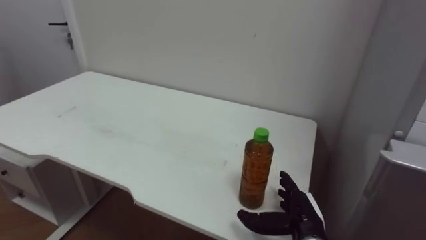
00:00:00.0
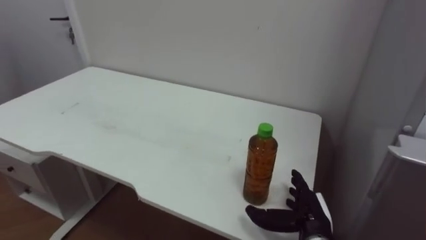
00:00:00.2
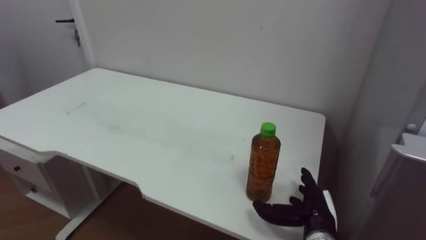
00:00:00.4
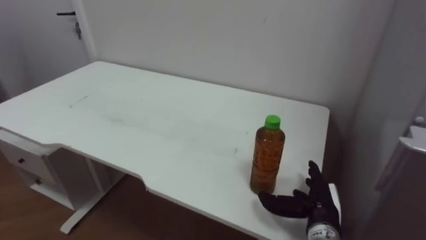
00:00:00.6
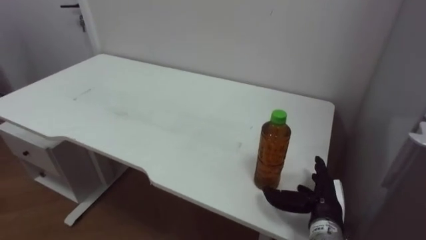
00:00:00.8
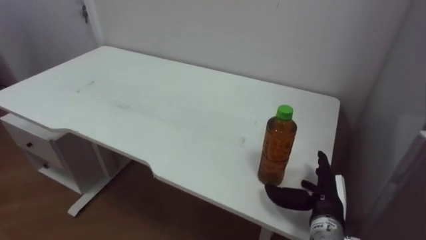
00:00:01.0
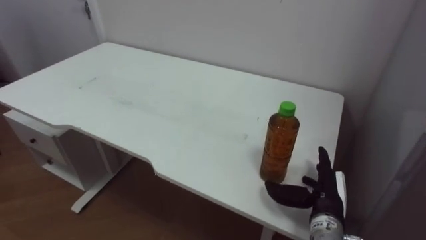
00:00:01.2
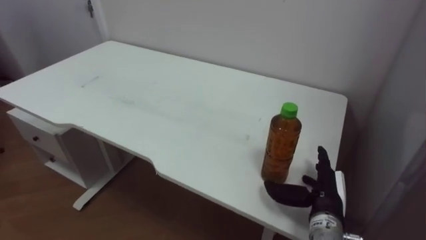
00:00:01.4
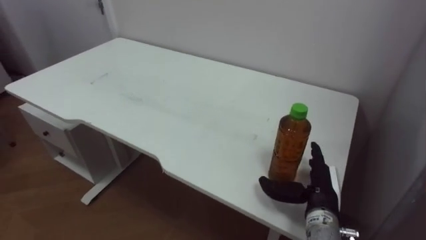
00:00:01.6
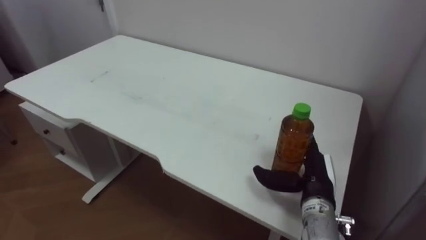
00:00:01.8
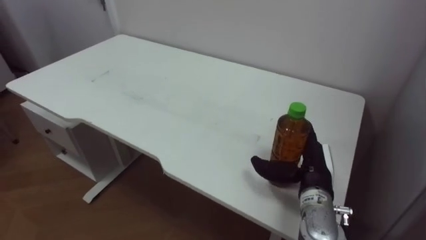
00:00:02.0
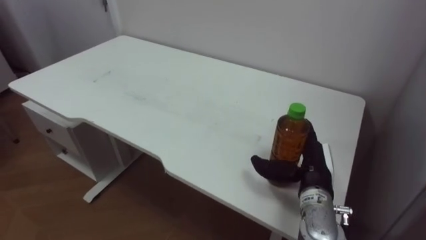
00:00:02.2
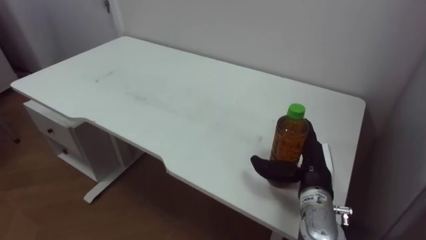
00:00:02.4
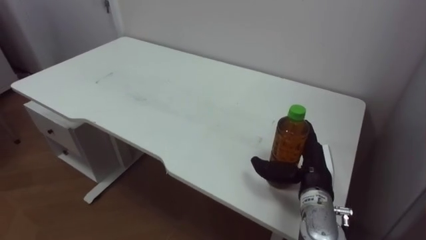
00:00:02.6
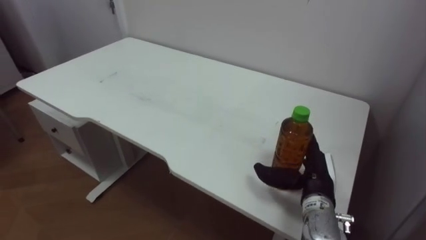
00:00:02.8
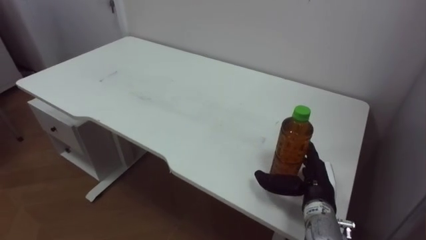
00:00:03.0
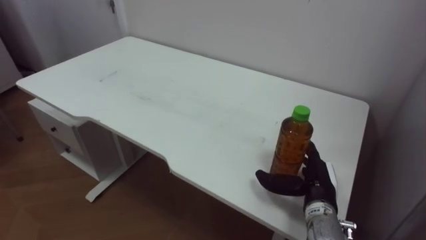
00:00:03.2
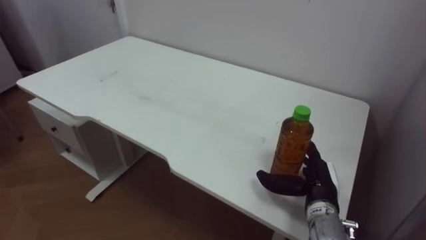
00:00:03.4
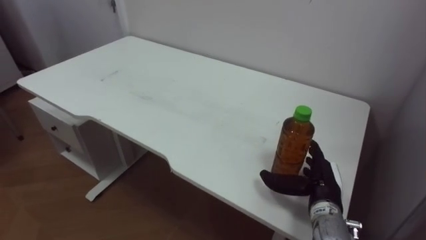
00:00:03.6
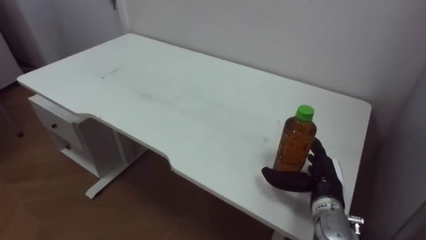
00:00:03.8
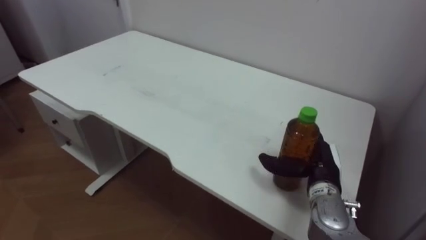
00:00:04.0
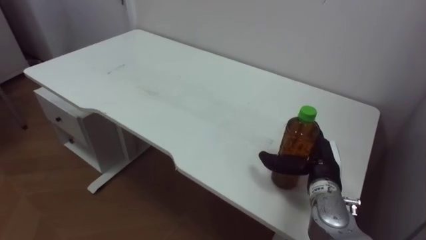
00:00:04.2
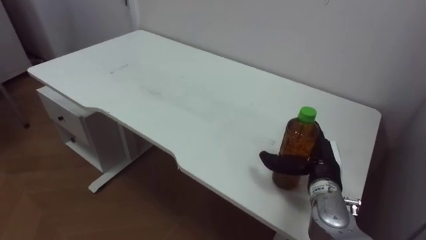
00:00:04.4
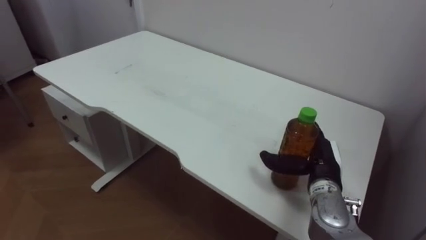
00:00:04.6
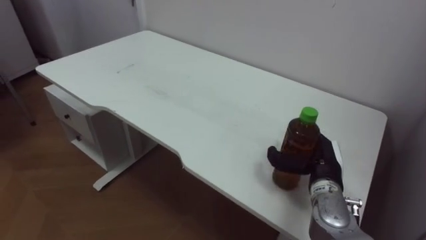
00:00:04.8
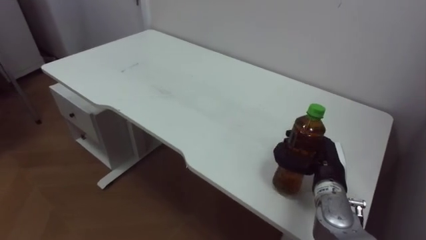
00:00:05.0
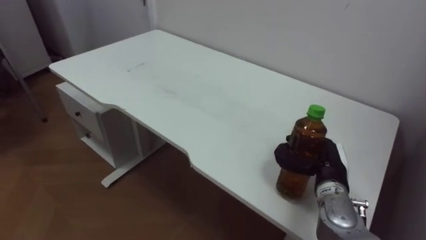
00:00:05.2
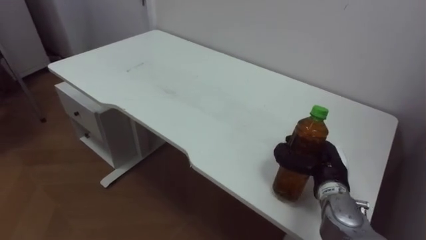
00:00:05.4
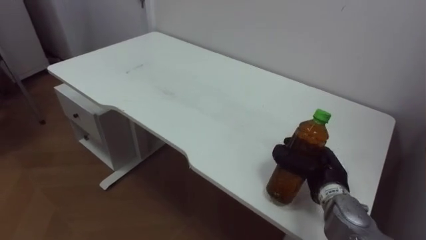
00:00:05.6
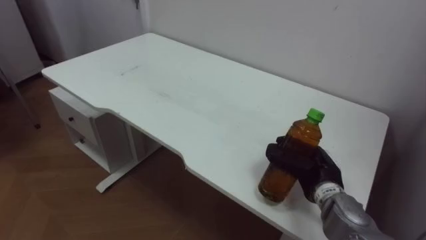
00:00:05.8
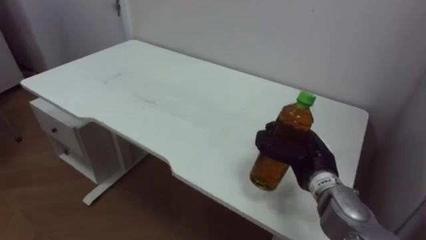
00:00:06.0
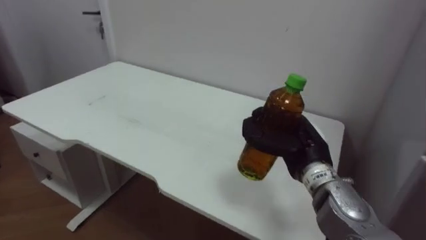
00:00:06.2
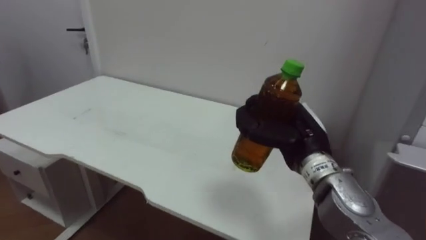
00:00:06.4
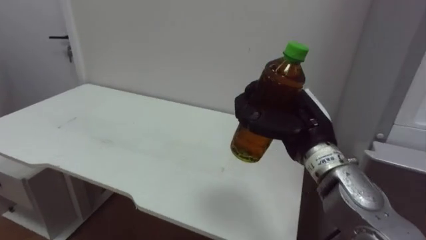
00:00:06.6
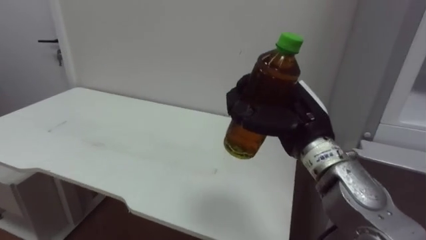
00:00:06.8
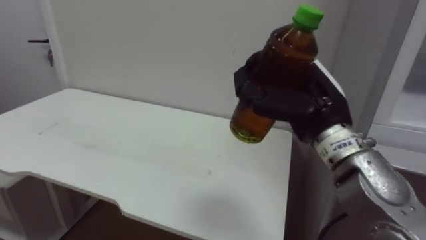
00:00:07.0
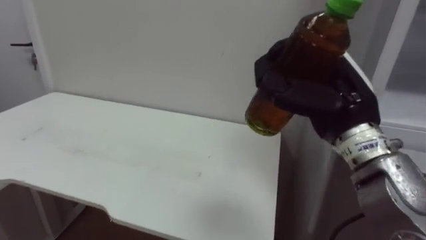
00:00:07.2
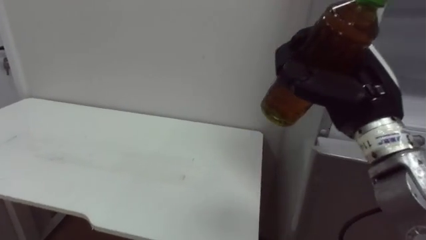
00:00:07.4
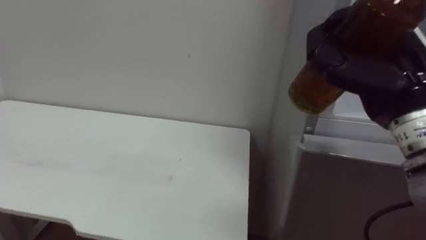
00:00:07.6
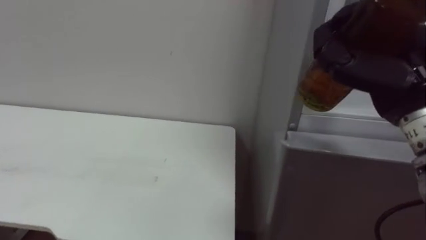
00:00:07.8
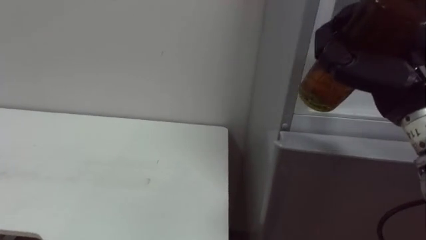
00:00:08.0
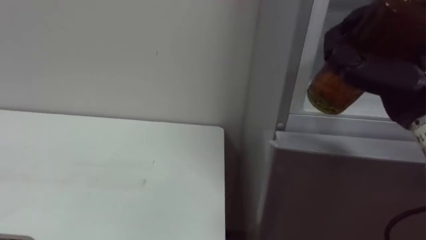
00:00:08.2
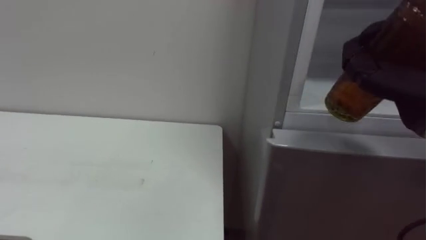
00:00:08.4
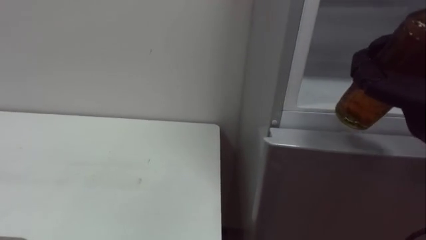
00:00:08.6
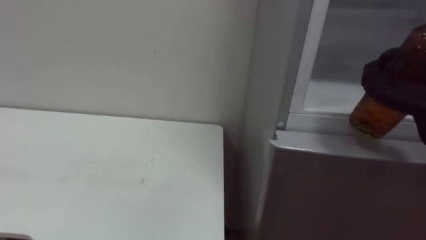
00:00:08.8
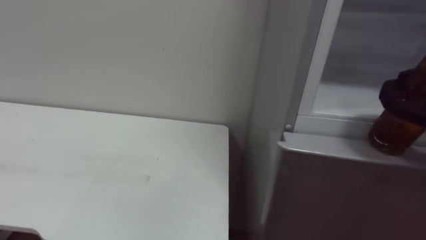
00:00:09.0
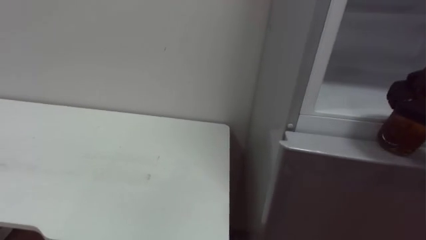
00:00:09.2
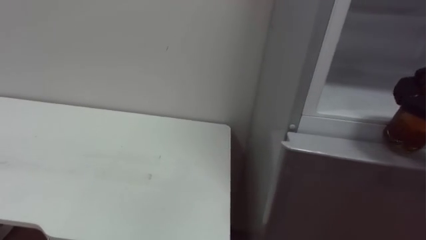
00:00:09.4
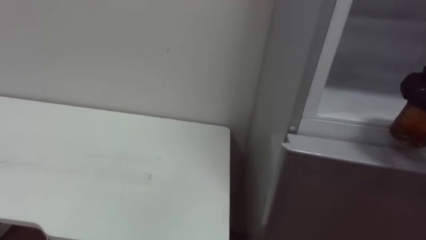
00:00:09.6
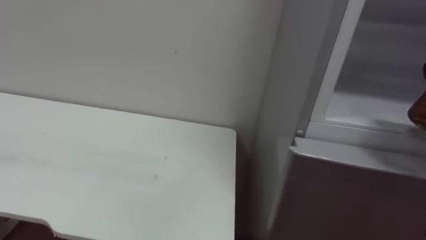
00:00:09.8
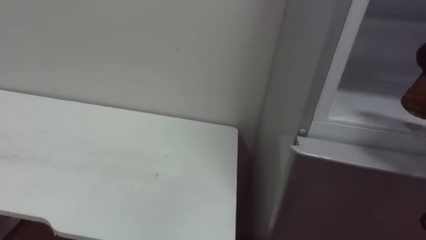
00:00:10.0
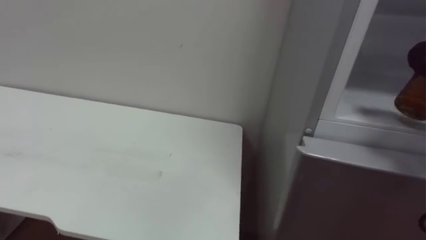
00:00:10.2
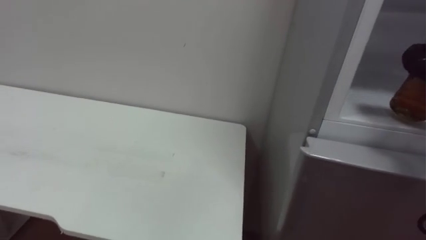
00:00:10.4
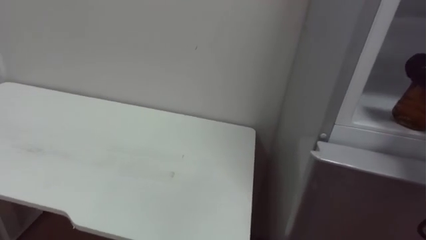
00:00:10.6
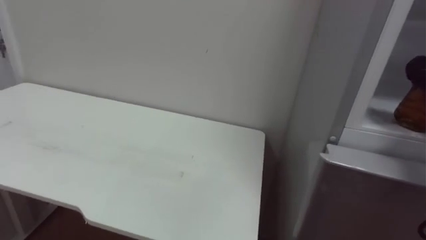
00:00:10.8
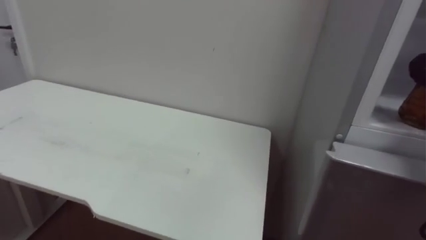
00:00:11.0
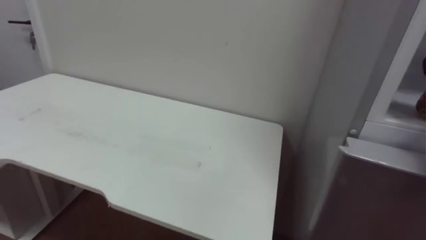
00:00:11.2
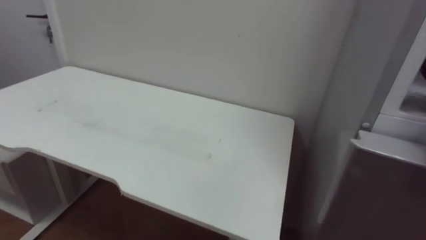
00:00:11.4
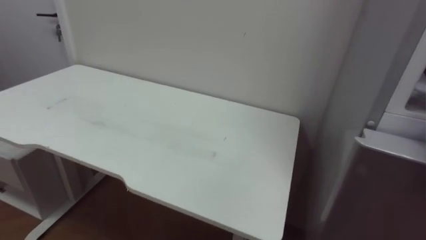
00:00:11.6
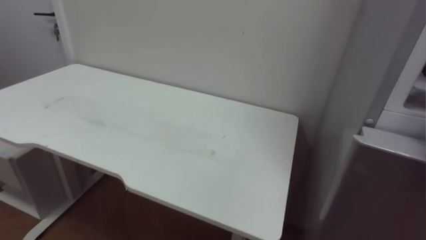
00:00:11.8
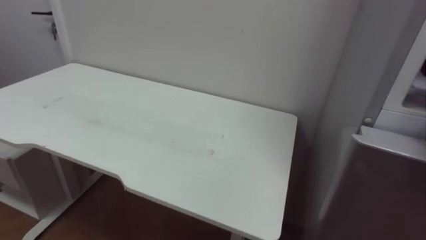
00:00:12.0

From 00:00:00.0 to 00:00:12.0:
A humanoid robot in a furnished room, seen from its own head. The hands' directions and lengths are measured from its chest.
Task of the whole recording: Open the upper refrigerator door, put the drink from the table into the refrigerator, and then close the refrigerator door.
From 00:00:00.0 to 00:00:01.6: The right hand changes place by some 5 cm.
From 00:00:04.4 to 00:00:06.0: The right hand closes its fingers.
From 00:00:06.0 to 00:00:07.6: The right hand heads upward and backward, covering about 20 cm.

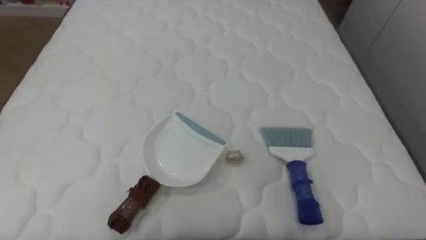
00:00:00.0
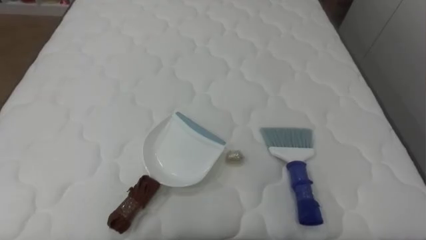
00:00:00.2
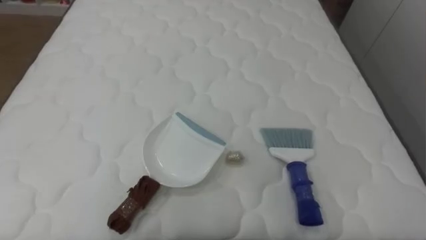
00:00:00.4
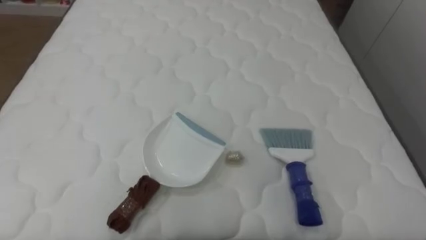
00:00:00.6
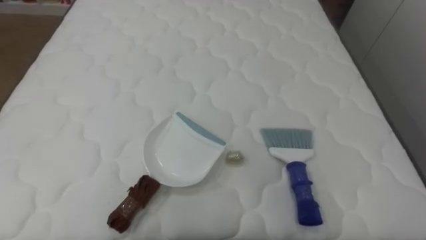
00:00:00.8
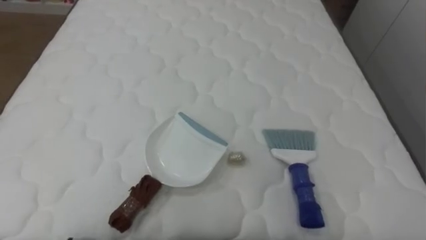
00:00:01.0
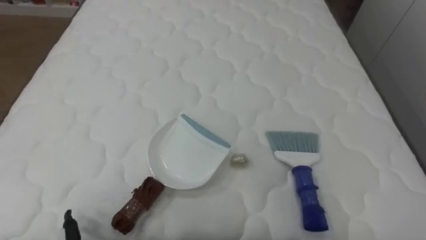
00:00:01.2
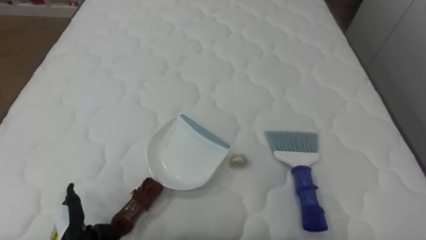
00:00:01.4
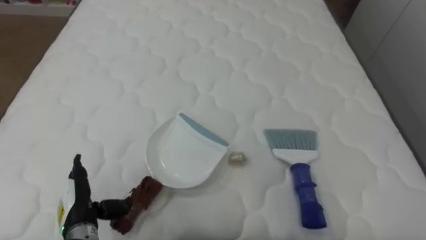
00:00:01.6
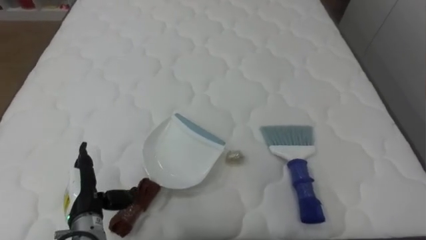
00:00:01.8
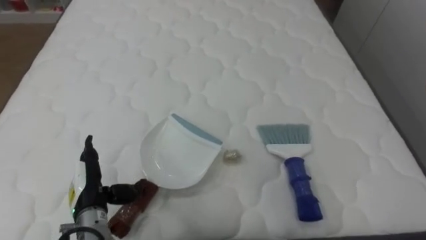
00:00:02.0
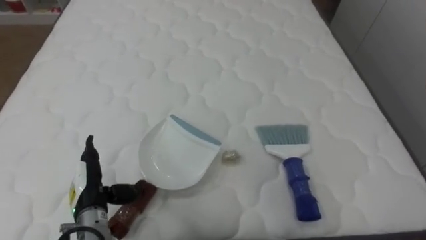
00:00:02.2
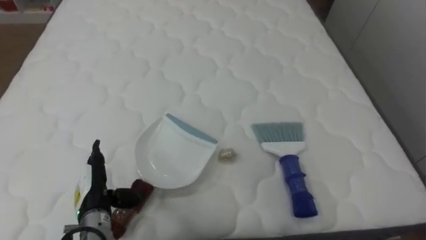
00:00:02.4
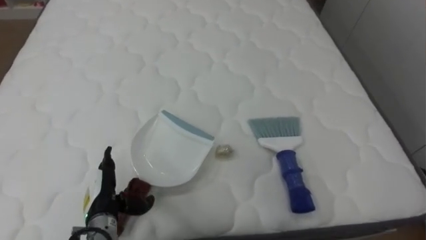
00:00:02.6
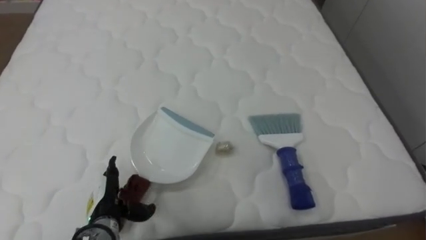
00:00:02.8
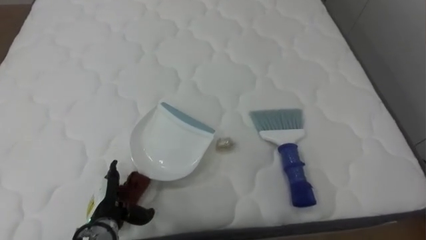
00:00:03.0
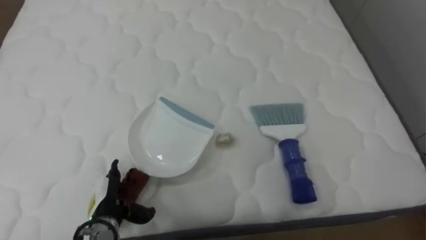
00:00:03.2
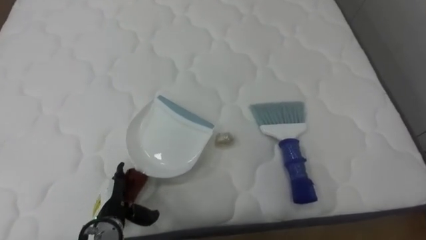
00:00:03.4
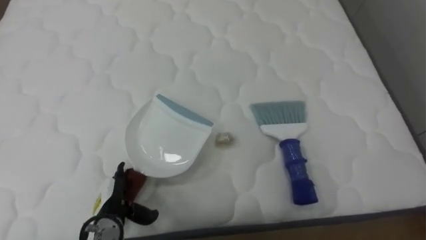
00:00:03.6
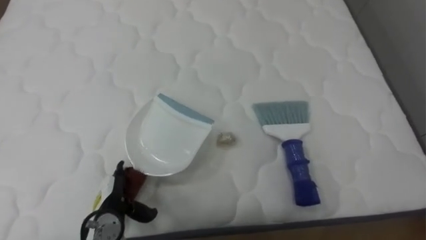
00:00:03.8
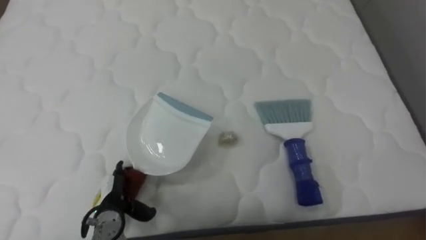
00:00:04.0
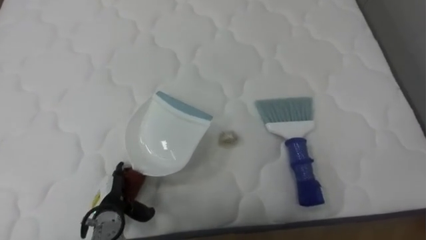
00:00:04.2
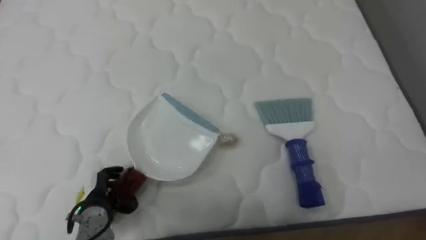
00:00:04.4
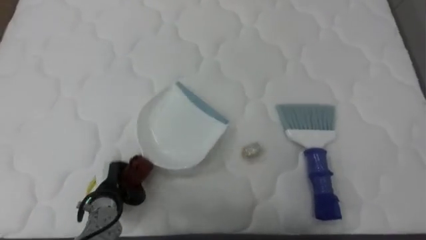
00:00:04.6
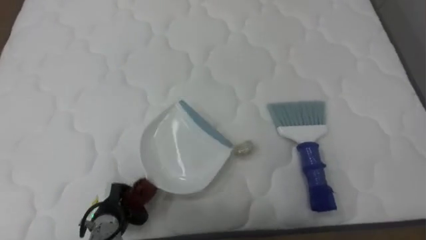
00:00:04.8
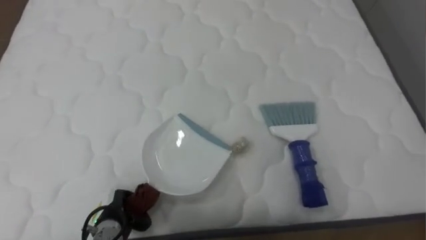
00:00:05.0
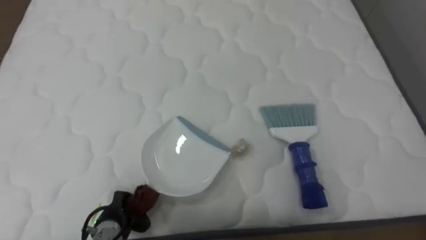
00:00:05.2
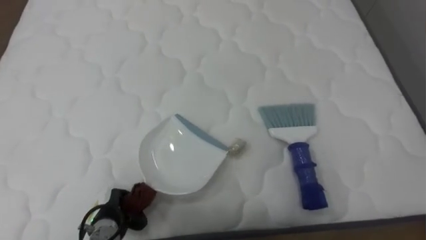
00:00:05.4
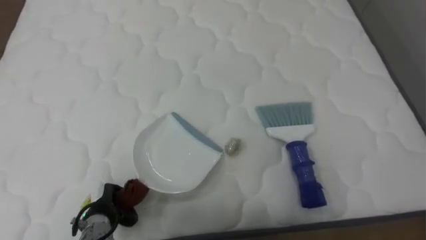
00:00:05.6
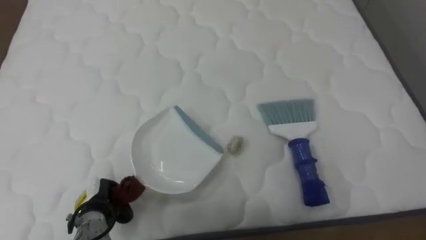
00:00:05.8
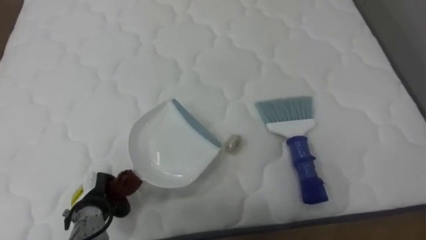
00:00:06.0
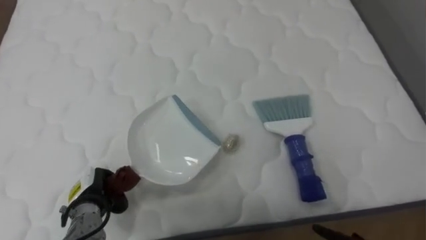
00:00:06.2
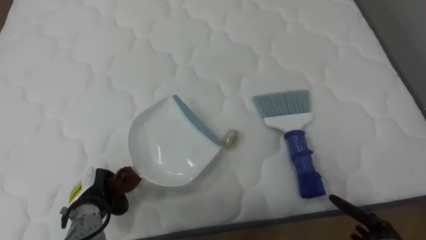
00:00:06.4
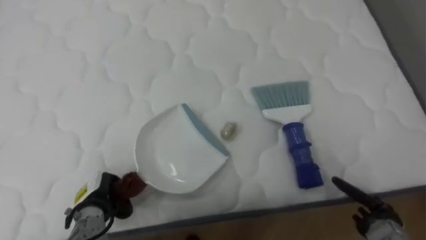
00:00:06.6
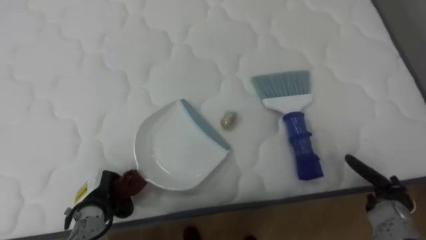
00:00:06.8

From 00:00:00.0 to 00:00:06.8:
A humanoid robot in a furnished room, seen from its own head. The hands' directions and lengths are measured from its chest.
Task of the whole recording: Pick up the brush on your right and the dustpan on your left. Use the brush to sweep the crumpled paper on the bed into the dustpan, then turn left and empty it into the basket.
From 00:00:01.4 to 00:00:02.8: The left hand is displaced forward and to the right by some 10 cm.
From 00:00:04.0 to 00:00:05.4: The left hand closes up.
